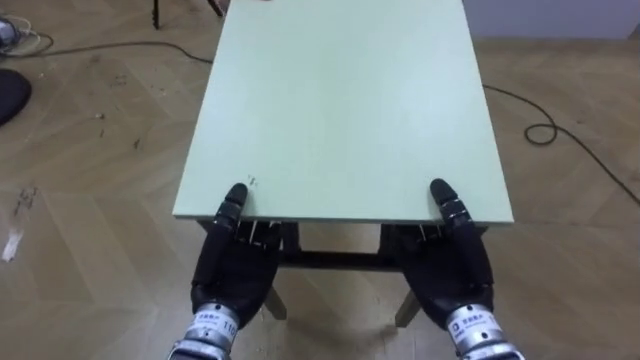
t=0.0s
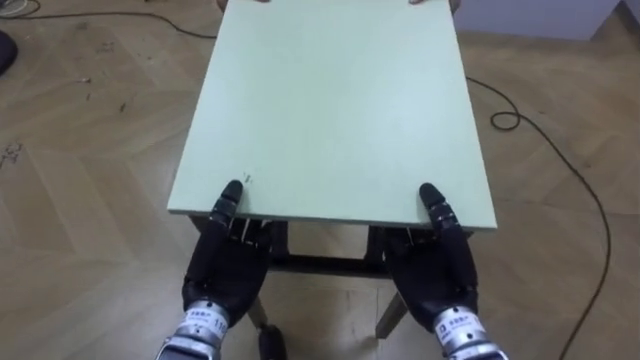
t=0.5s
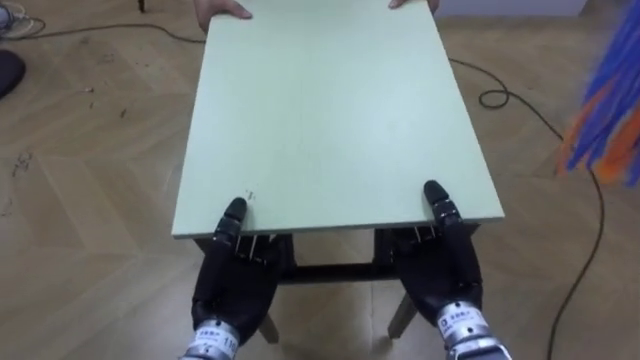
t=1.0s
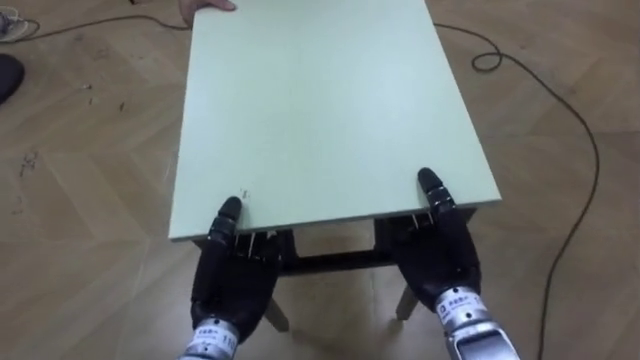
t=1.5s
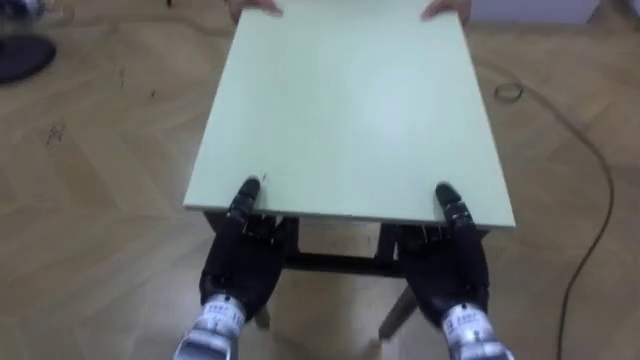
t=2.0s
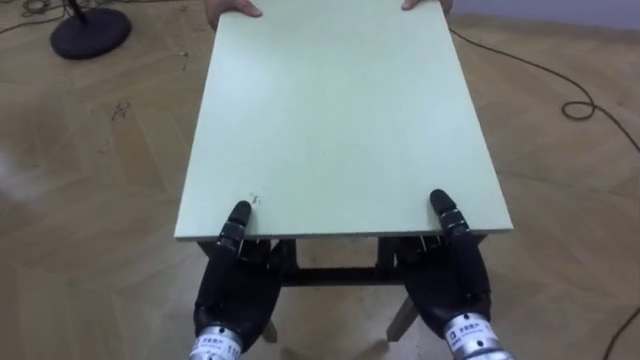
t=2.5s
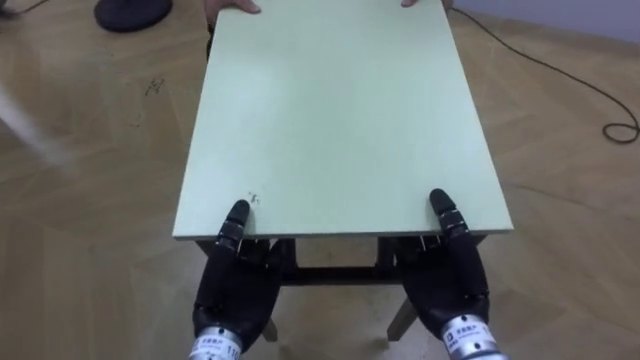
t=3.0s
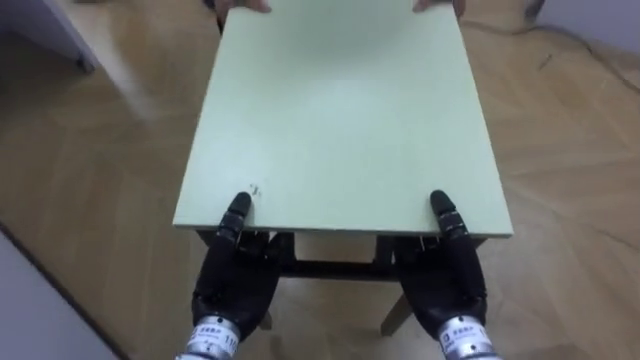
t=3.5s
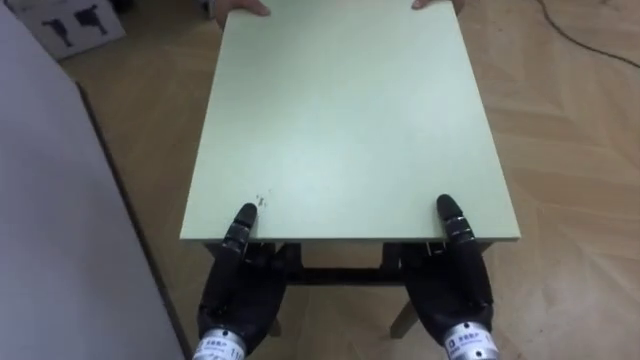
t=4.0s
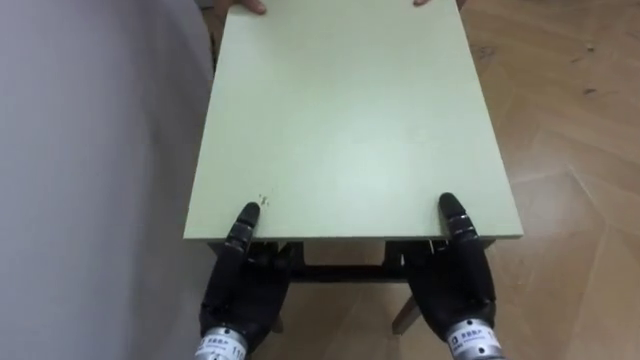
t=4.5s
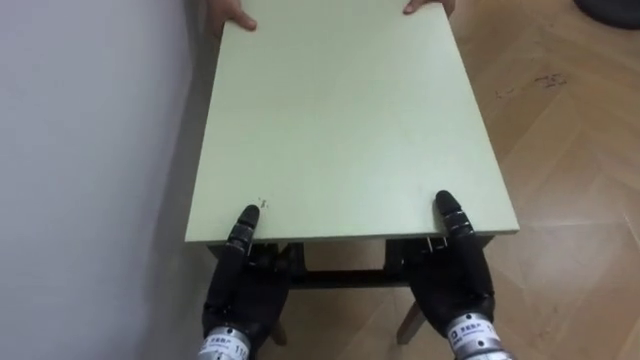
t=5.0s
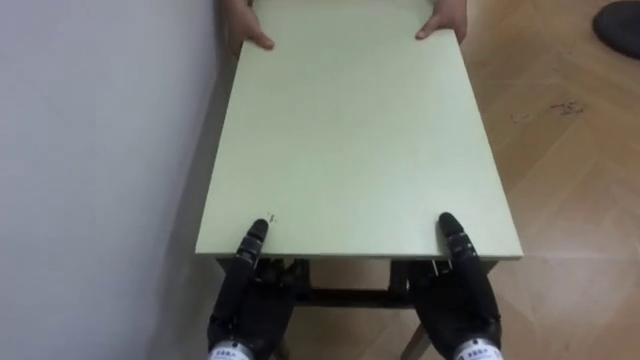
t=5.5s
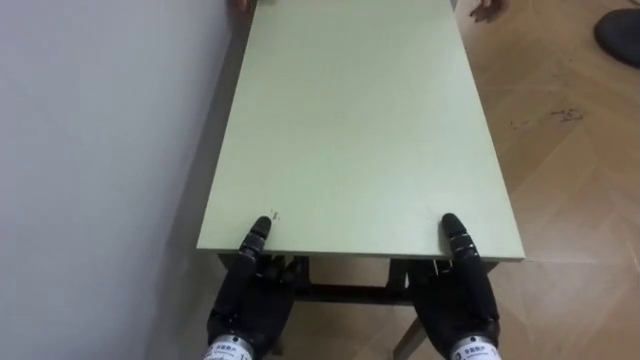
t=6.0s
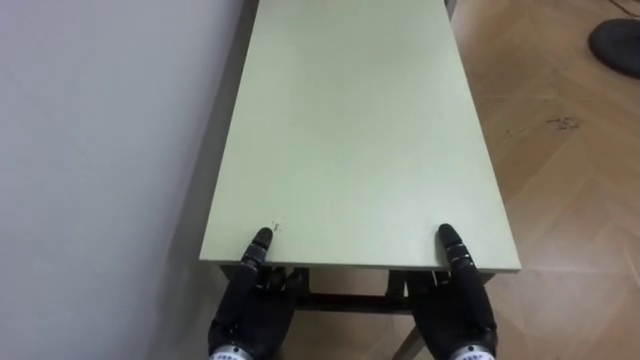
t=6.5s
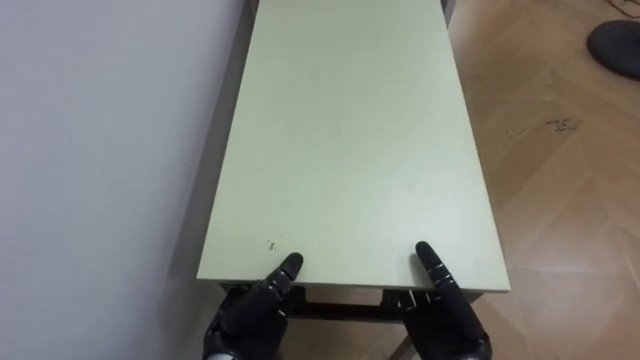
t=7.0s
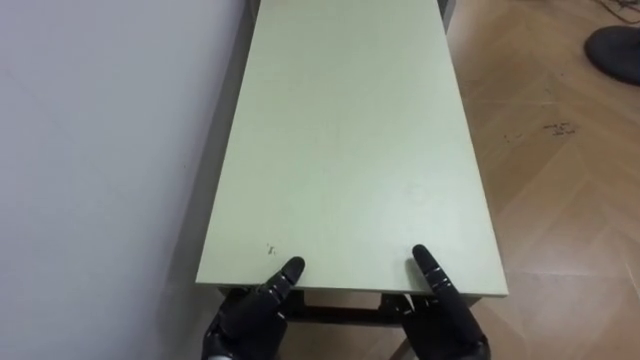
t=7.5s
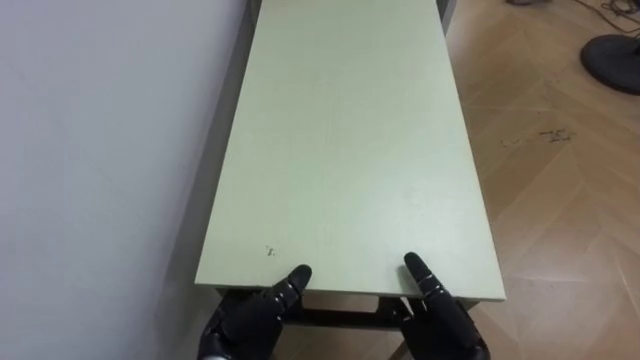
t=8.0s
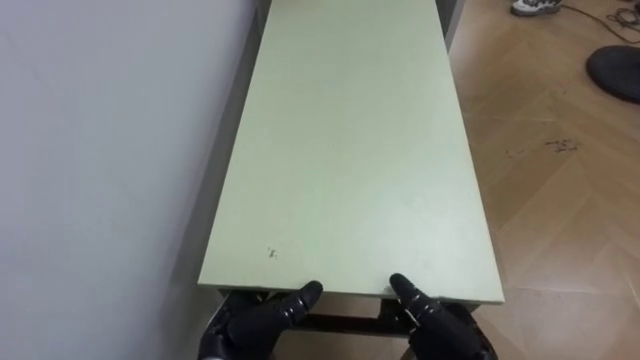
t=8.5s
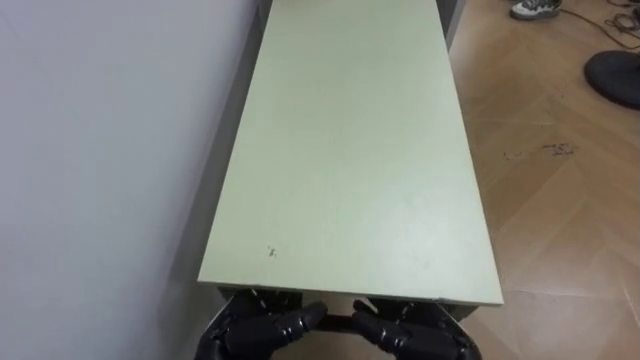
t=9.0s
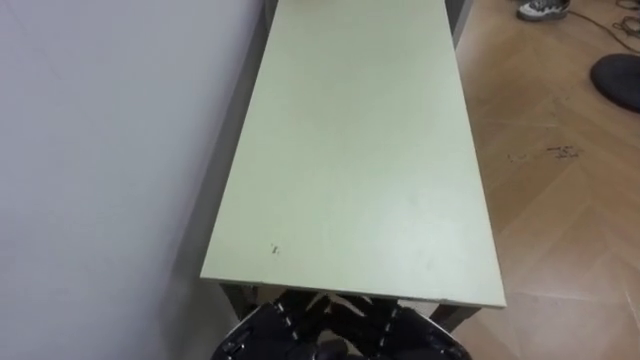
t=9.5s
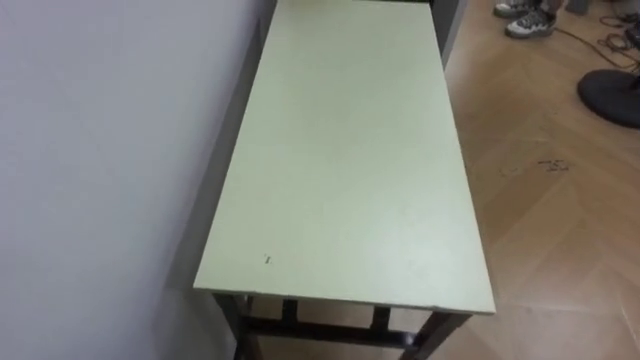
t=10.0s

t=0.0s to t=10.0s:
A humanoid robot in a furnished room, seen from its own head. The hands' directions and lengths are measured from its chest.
Task of the whole recording: Move the table to the back left with someone.
t=2.0s to t=4.0s: The robot's body swings approximately 45 degrees to its left.
t=4.0s to t=6.0s: The robot's body swings about 45 degrees to its left.
t=6.0s to t=8.0s: The left hand opens; the right hand opens up.

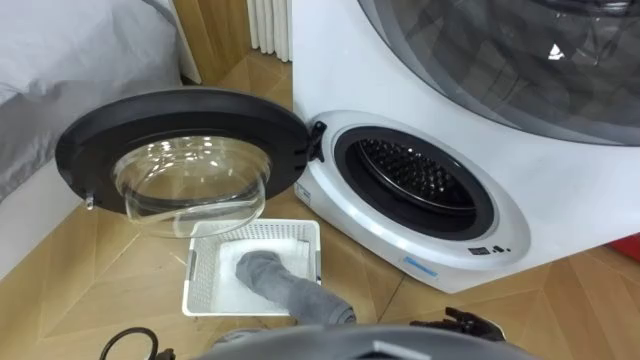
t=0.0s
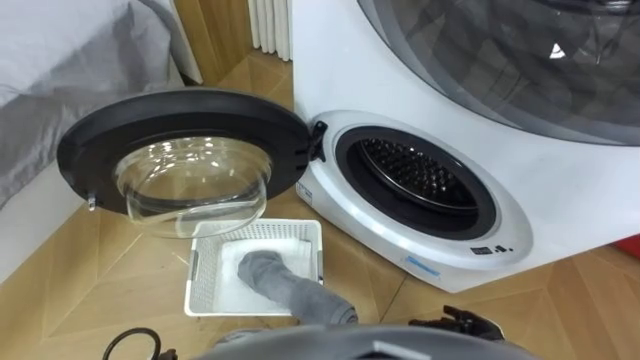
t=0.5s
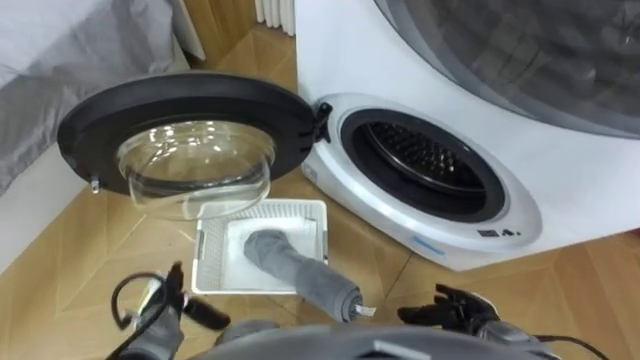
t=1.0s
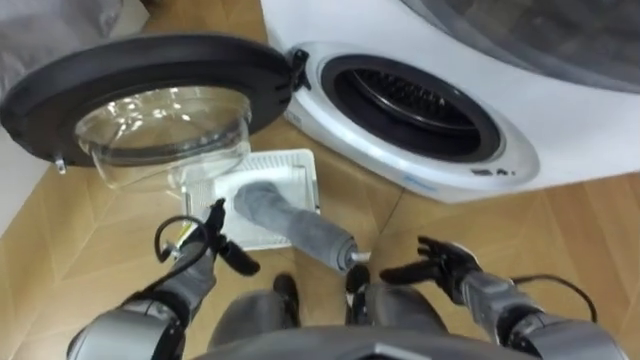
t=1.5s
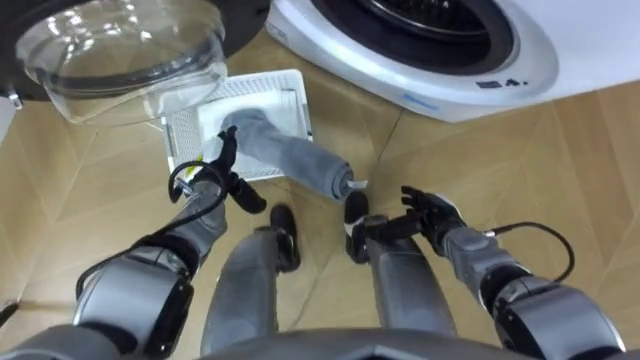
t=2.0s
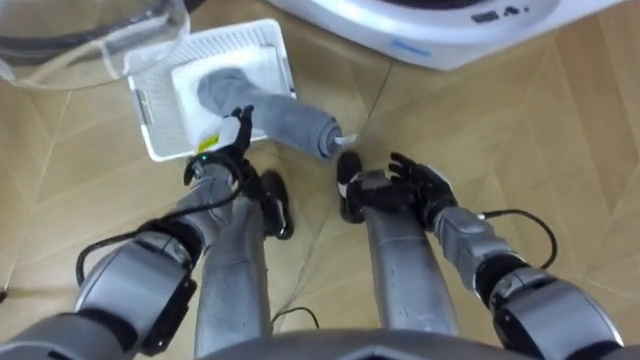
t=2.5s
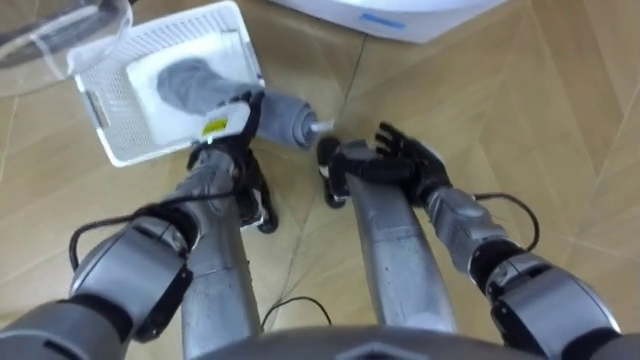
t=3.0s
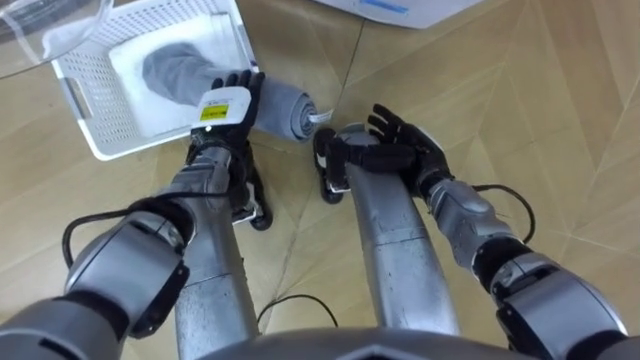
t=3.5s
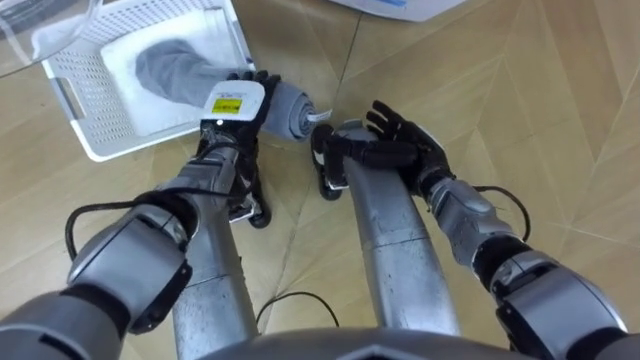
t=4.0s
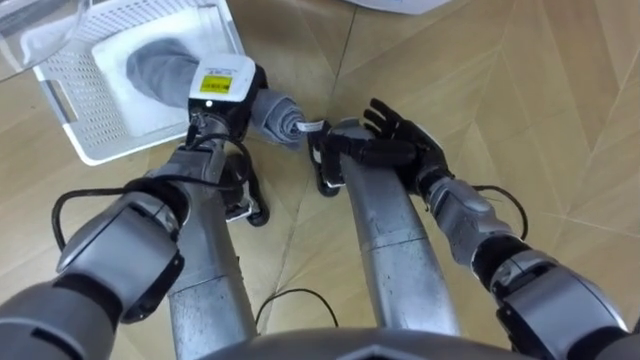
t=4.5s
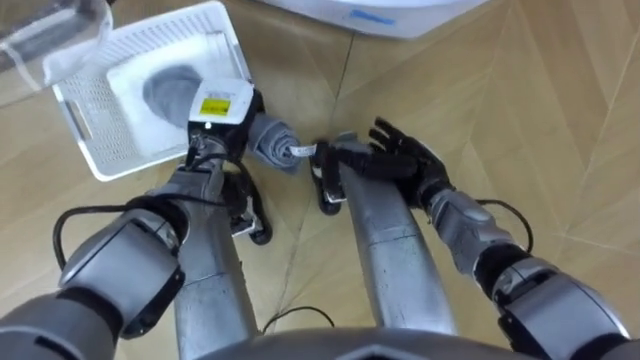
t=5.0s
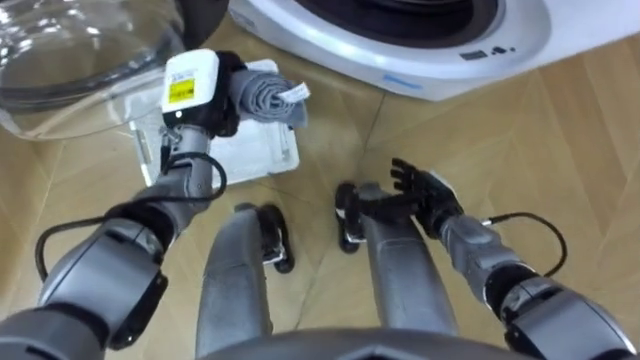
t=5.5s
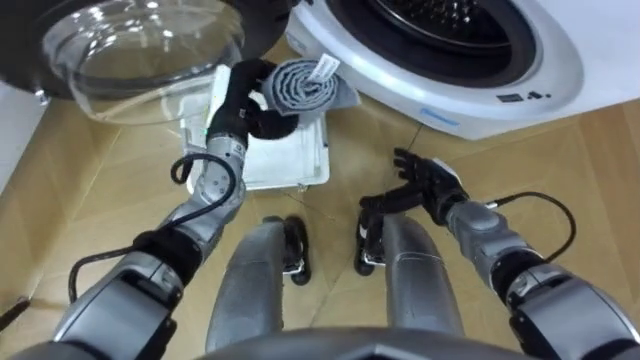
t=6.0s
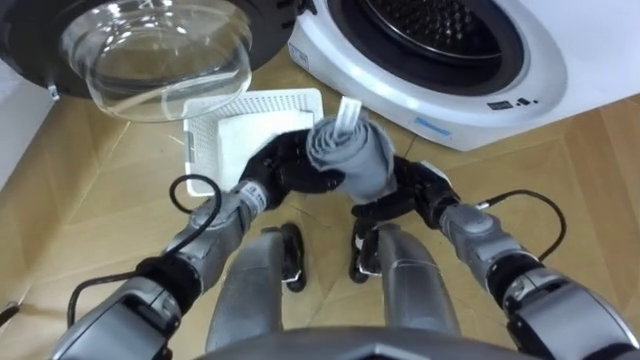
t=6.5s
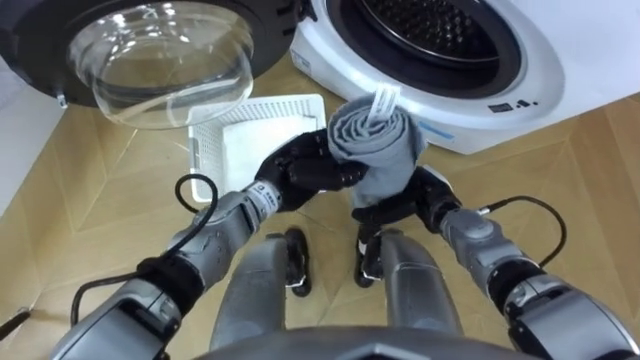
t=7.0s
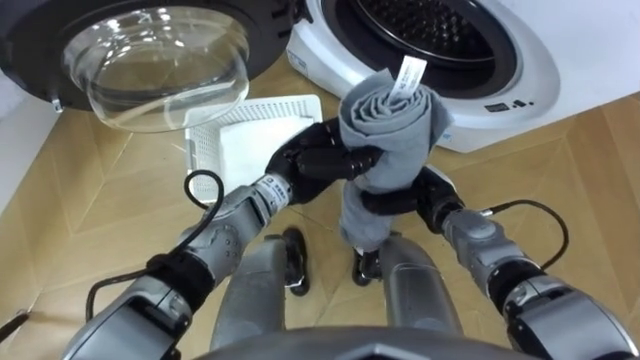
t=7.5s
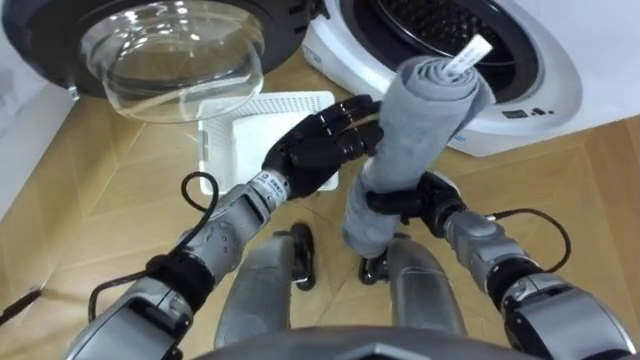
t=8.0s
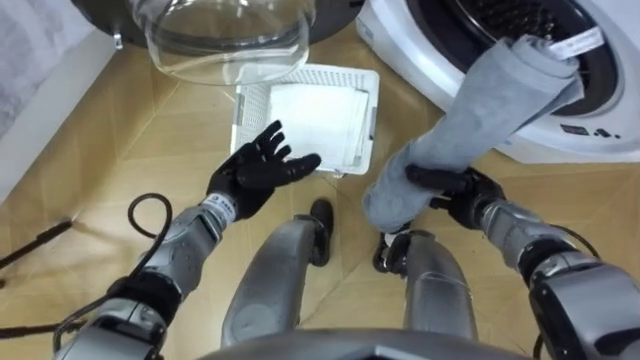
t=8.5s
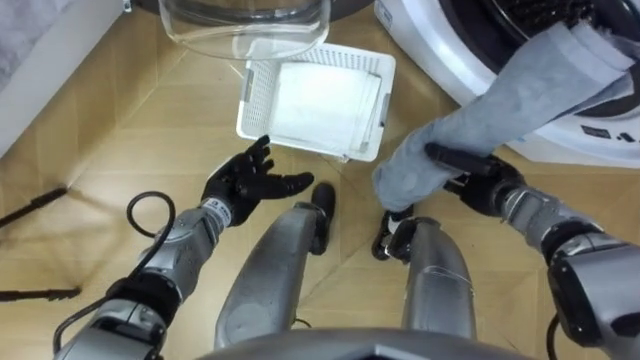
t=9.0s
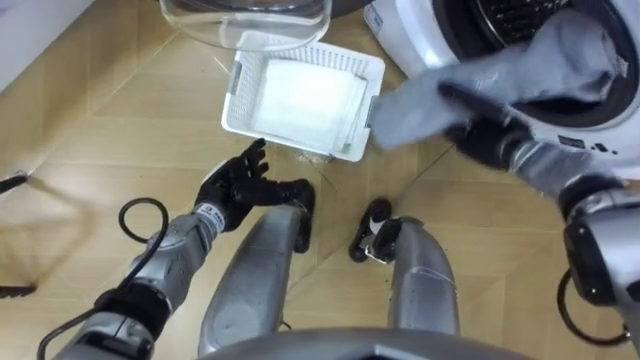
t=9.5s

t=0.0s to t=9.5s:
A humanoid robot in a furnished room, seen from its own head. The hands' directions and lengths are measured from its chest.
Task of the whole recording: Take the towel from the basket and put it into the washing machine.
t=2.0s to t=4.0s: The left hand travels upward and forward by about 10 cm, while the right hand travels forward and upward by approximately 10 cm.
t=4.0s to t=5.5s: The left hand shifts by approximately 5 cm, and closes up, while the right hand shifts by about 10 cm.
t=5.5s to t=7.5s: The left hand shifts some 15 cm to the right and backward. Meanwhile the right hand closes up.
t=7.5s to t=9.5s: The left hand shifts approximately 15 cm to the left and downward, and opens up; the right hand heads to the right, forward and upward, covering roughly 15 cm.
